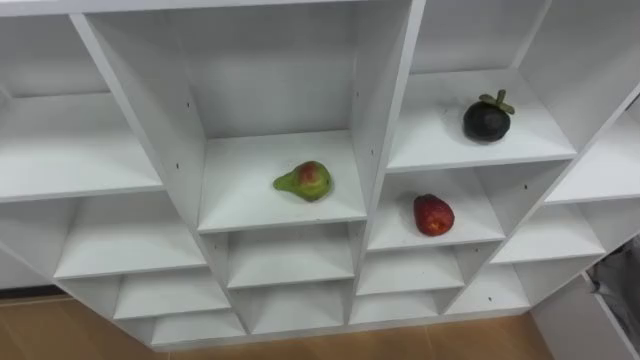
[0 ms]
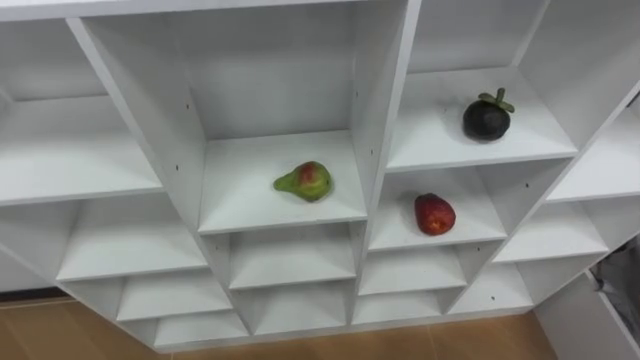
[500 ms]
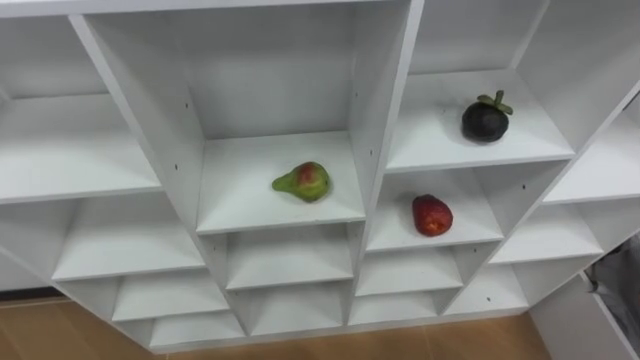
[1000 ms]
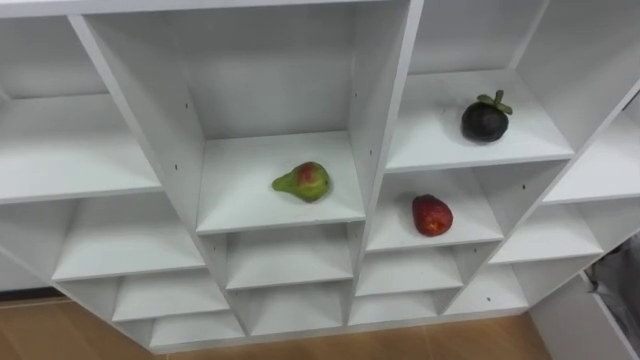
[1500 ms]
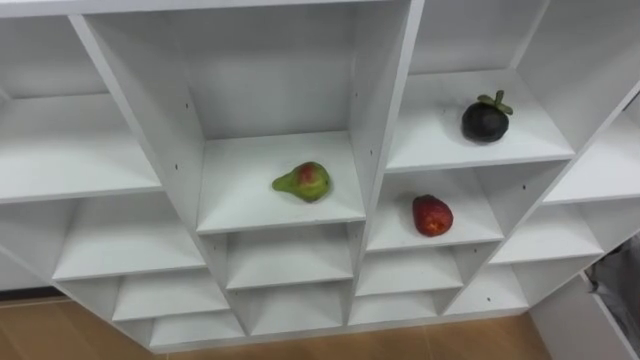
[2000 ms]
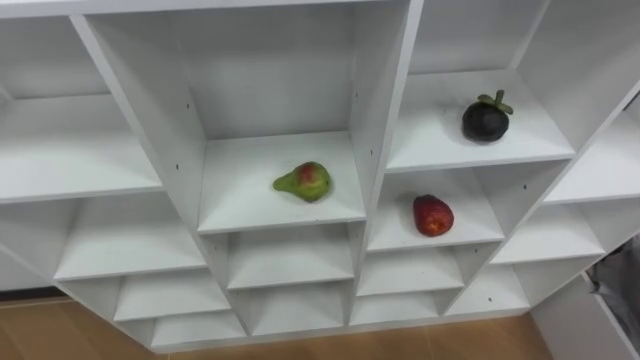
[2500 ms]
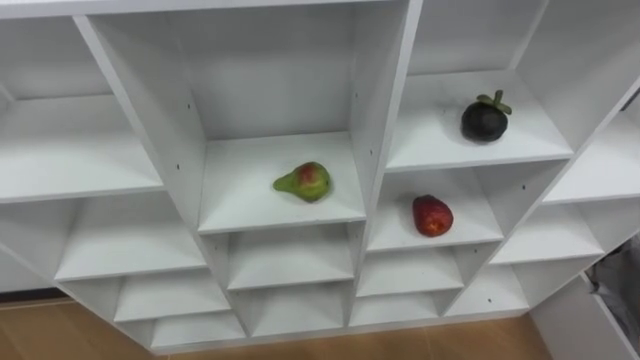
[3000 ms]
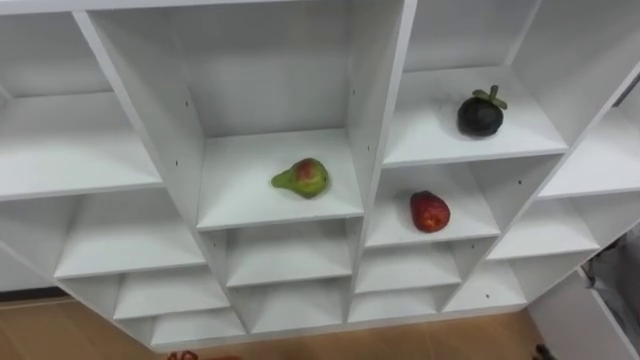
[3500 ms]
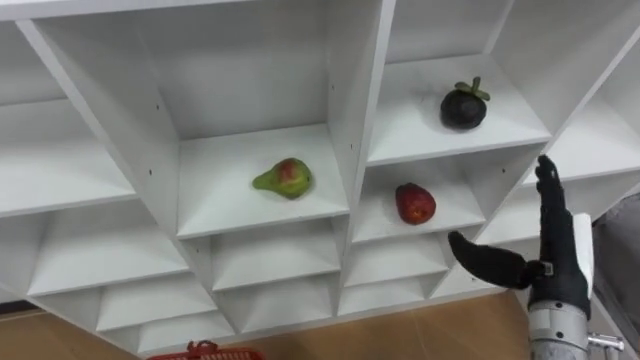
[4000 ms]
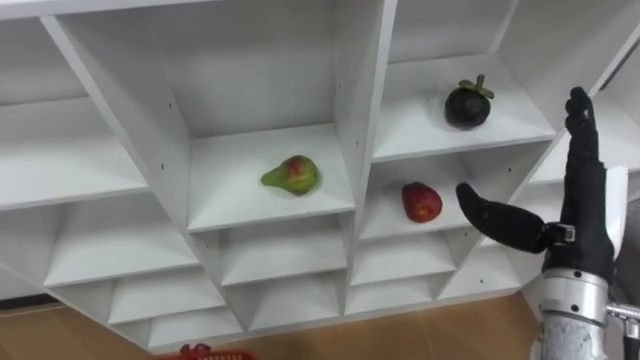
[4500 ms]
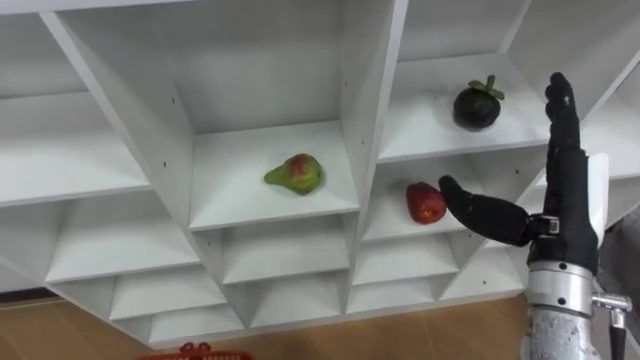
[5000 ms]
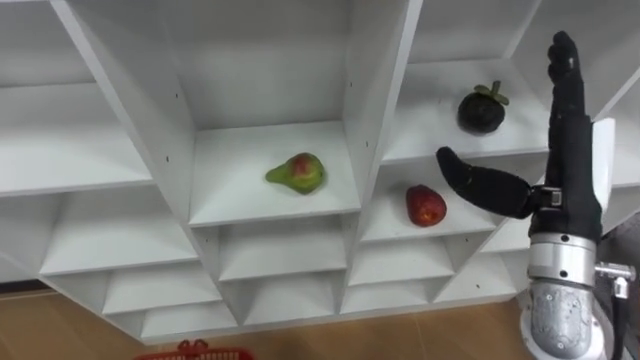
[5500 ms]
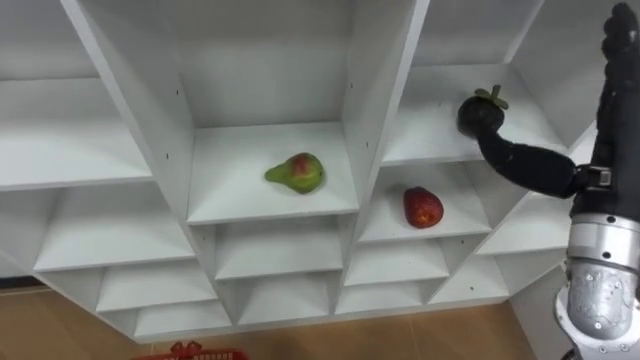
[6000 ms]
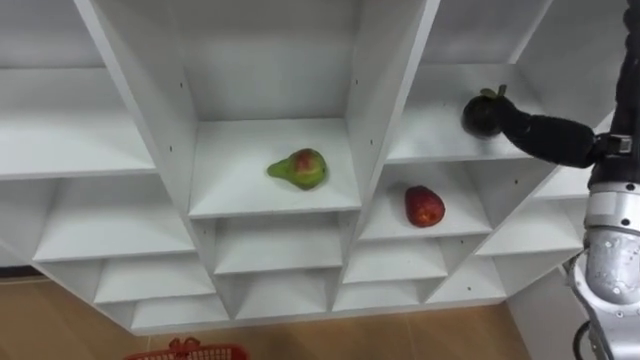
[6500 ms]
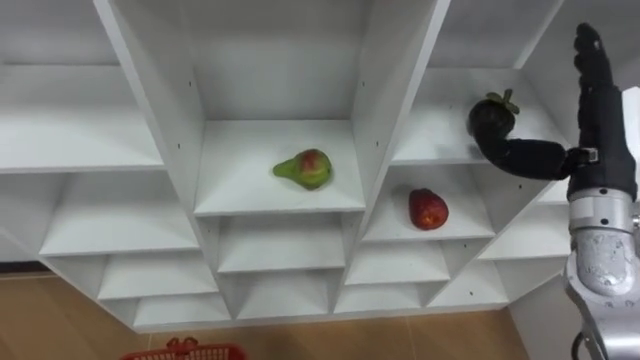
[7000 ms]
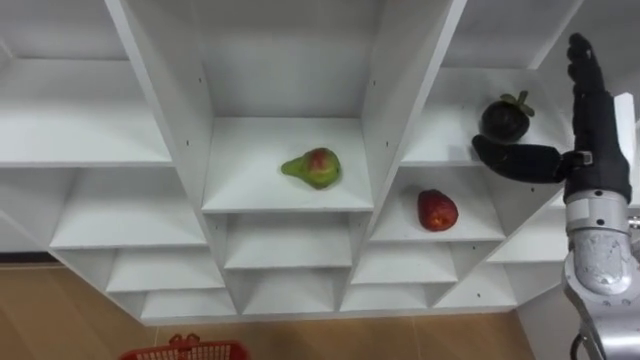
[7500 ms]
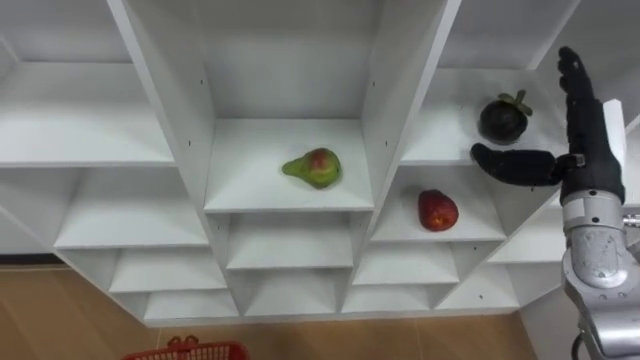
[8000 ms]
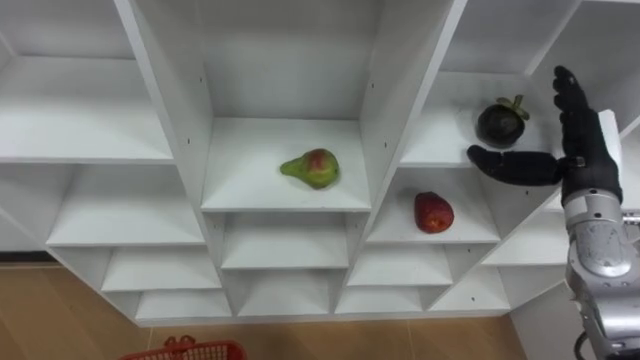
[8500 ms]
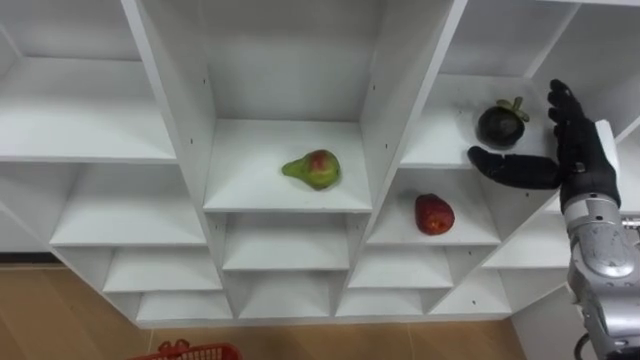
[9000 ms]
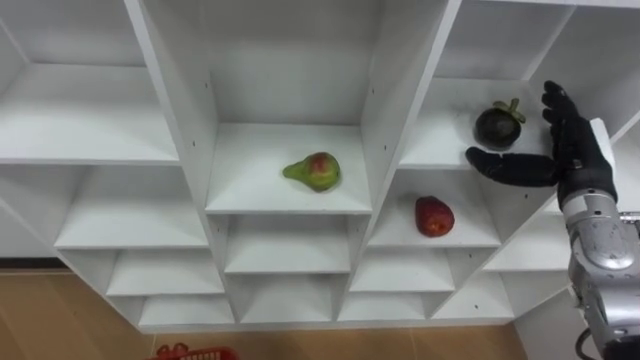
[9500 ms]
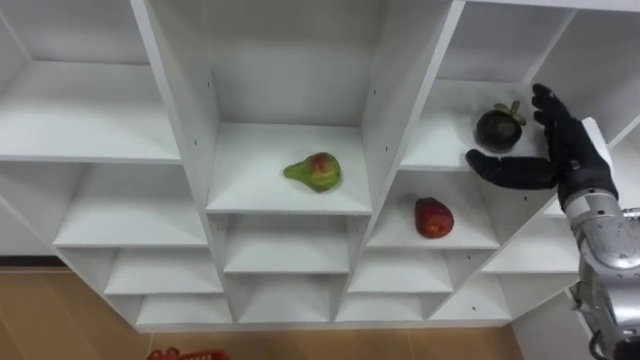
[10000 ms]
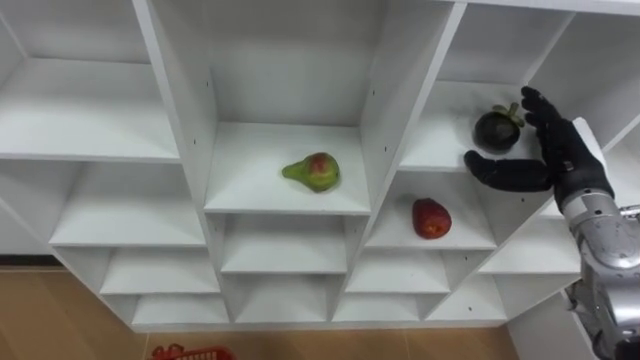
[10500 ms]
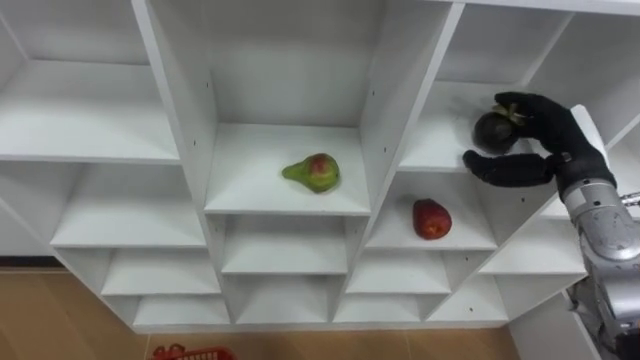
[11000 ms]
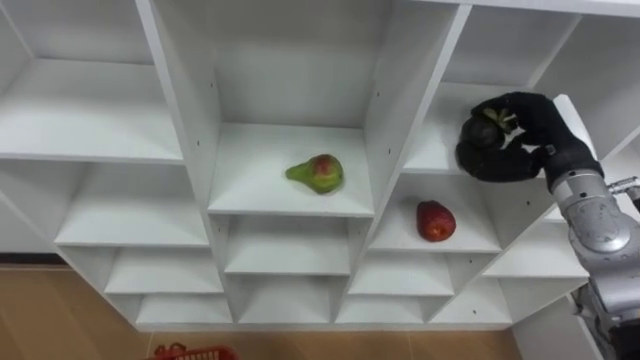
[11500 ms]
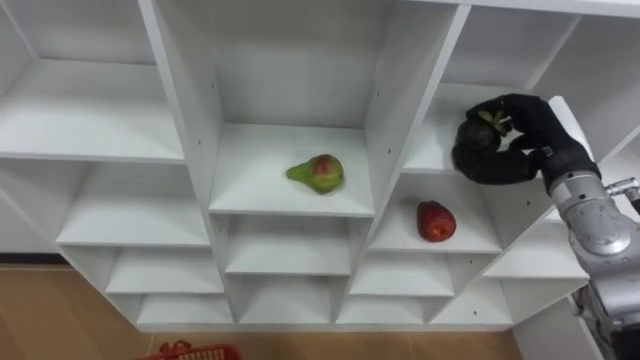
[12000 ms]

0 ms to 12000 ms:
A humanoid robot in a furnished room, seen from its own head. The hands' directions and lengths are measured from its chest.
Task of the whole recording: Hold the basket and collect the fruits from 3 different cells of the closet into it.
4000 ms to 6000 ms: The right hand travels upward by roughly 15 cm.
6000 ms to 8000 ms: The right hand moves downward and forward, about 10 cm.
8000 ms to 10000 ms: The right hand shifts by about 5 cm.
10000 ms to 12000 ms: The right hand closes up.

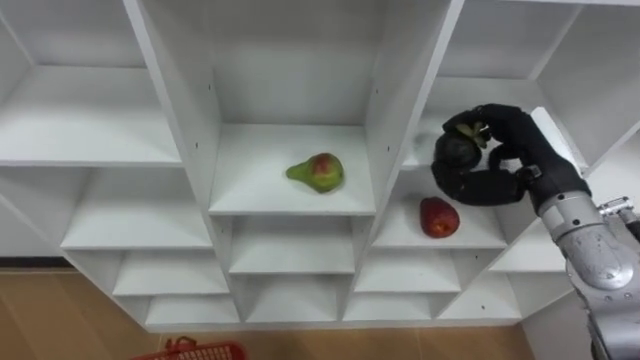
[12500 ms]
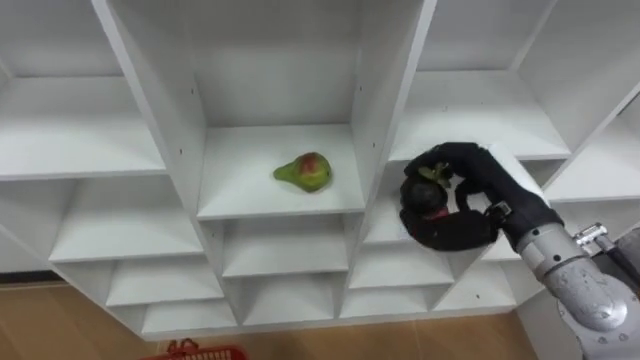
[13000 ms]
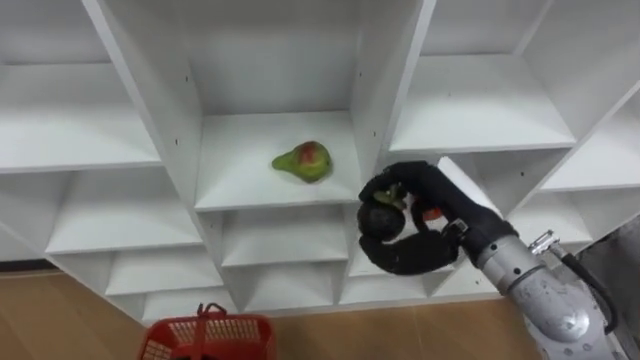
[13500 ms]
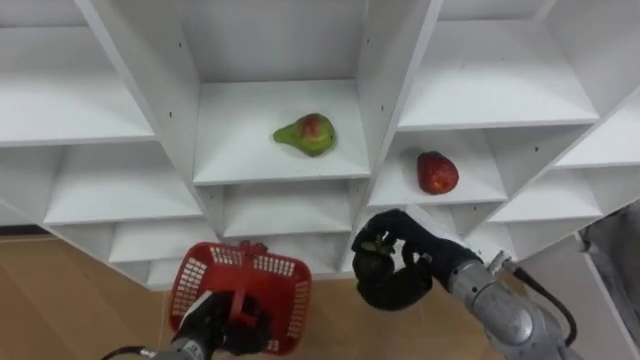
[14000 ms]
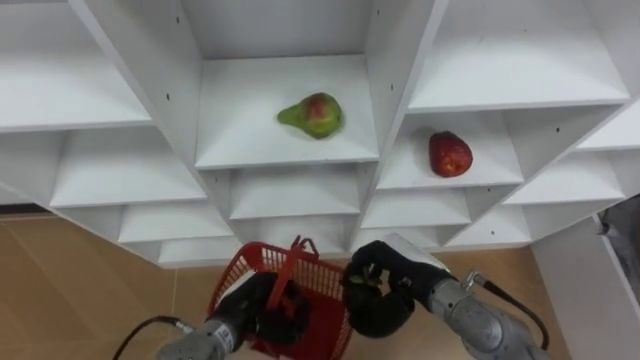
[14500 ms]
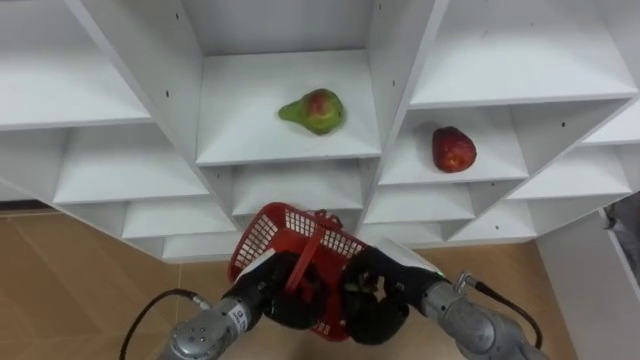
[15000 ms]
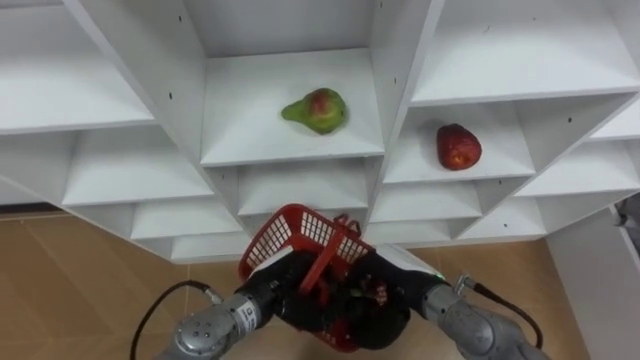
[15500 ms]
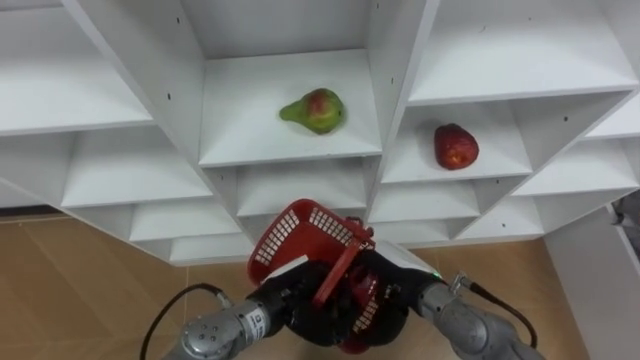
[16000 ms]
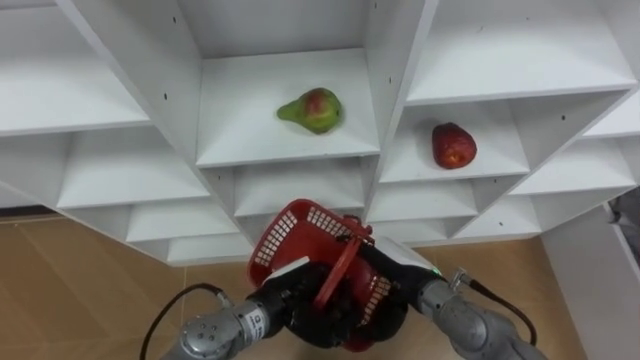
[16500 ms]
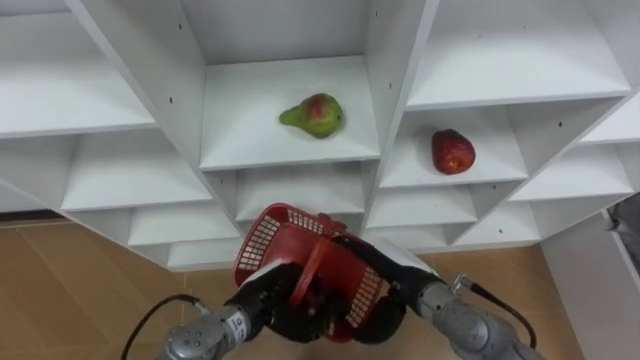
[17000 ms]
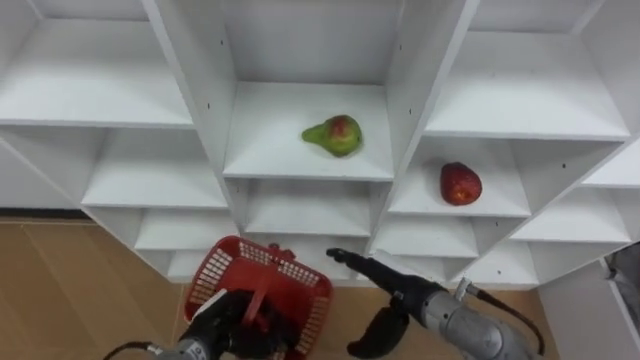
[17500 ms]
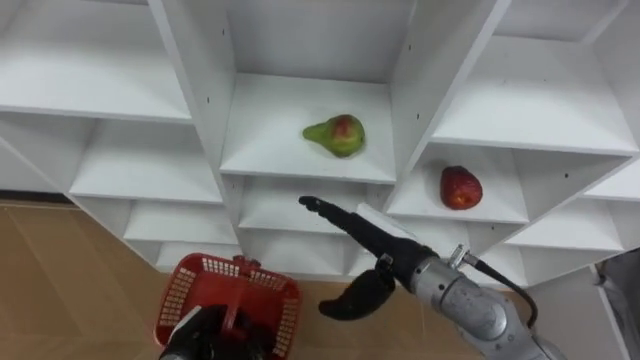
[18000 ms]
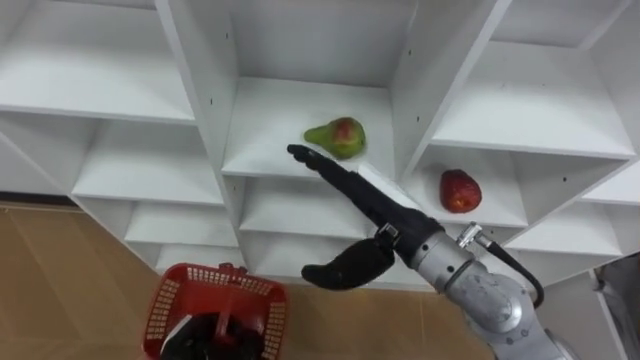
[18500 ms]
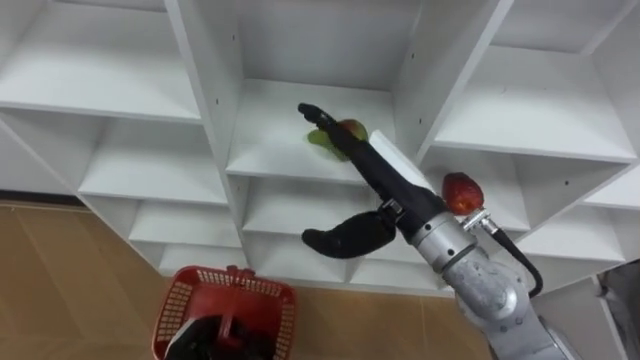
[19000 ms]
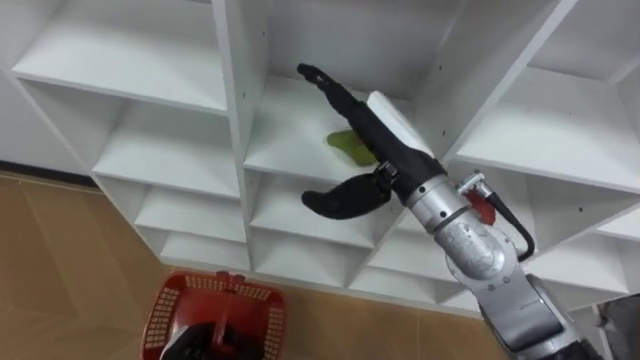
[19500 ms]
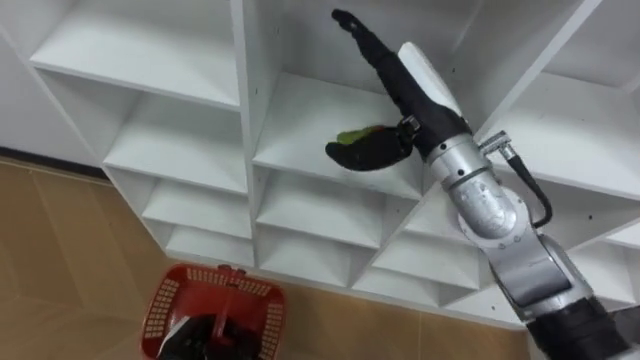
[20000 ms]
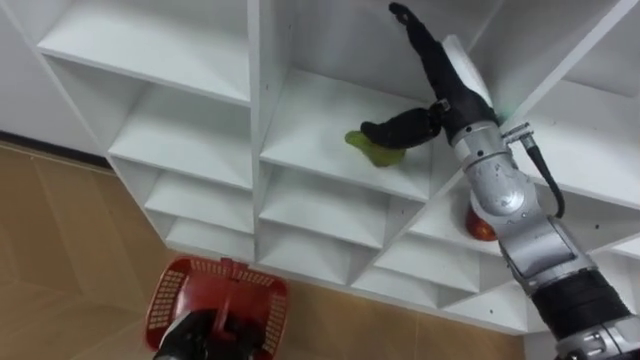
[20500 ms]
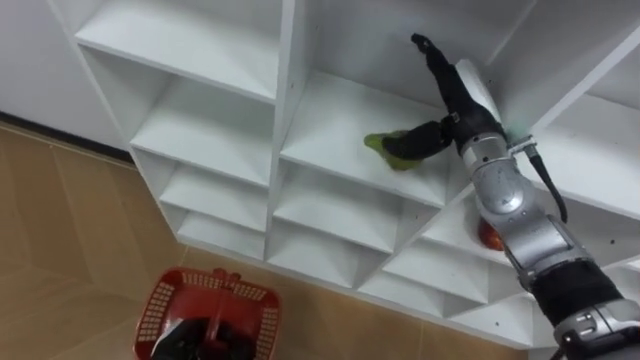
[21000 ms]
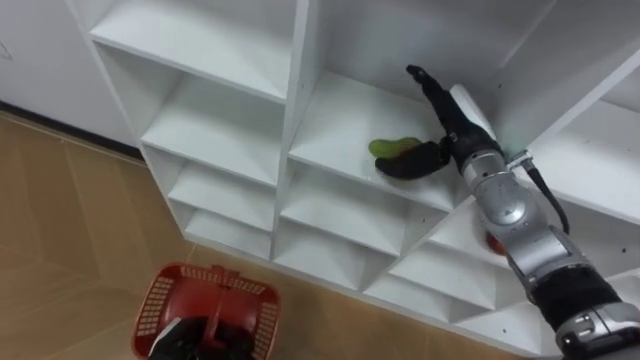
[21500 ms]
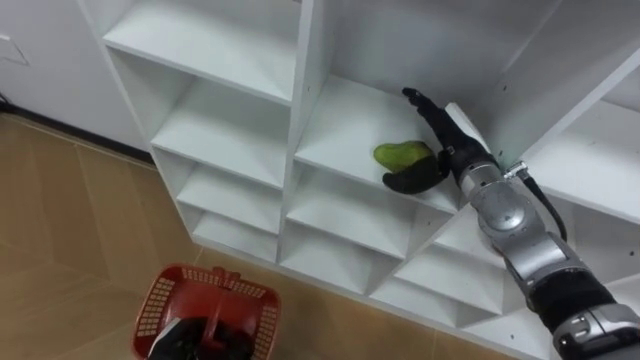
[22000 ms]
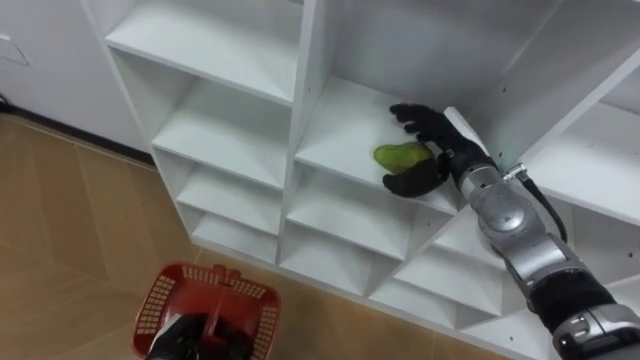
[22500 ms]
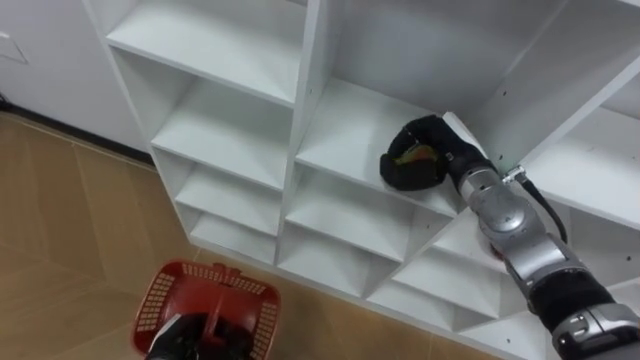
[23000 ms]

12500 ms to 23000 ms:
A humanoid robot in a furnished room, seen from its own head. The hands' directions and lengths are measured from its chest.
Task of the whole recording: Hold the basket and collect the fruits from 3 different cells of the closet into it.
12500 ms to 14500 ms: The right hand shifts roughly 20 cm downward, to the left and backward.
14500 ms to 16500 ms: The left hand heads to the right, covering some 5 cm. Meanwhile the right hand opens its fingers.
16500 ms to 19000 ms: The left hand travels to the left, downward and backward by some 15 cm, while the right hand goes roughly 20 cm upward.
19000 ms to 21000 ms: The right hand moves forward and to the right, about 15 cm.
21000 ms to 23000 ms: The right hand is displaced downward by roughly 5 cm, and closes its fingers.
